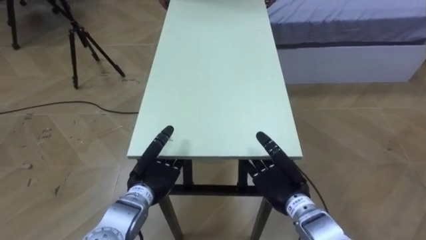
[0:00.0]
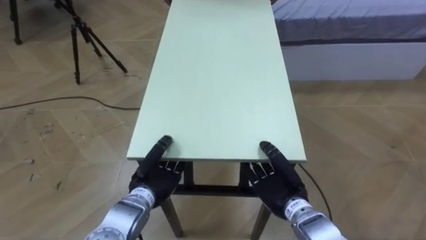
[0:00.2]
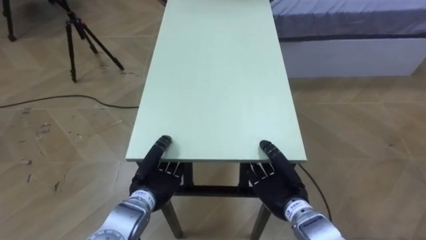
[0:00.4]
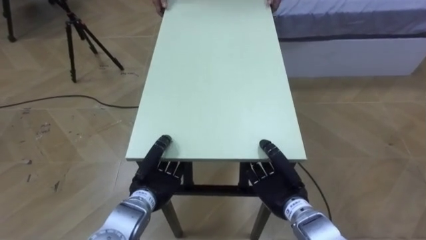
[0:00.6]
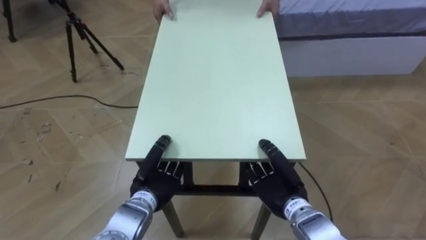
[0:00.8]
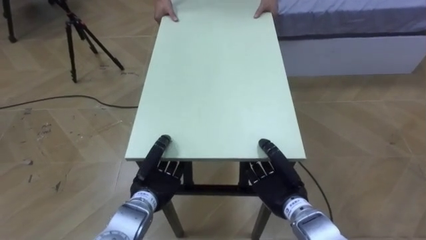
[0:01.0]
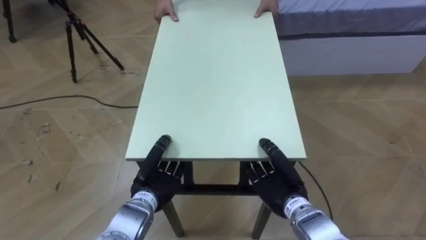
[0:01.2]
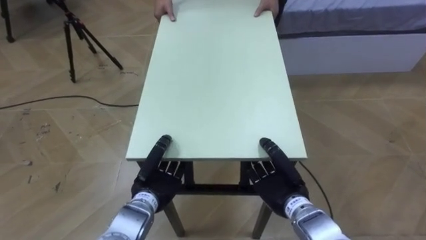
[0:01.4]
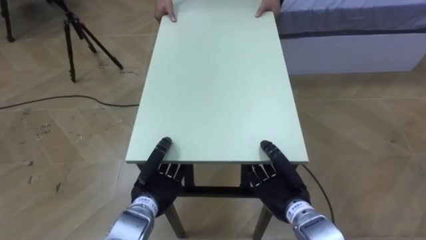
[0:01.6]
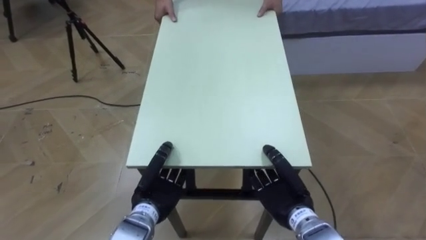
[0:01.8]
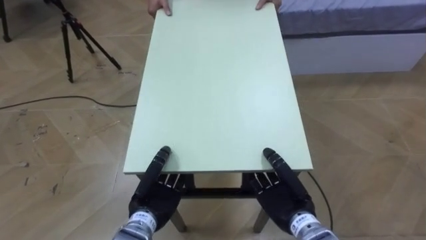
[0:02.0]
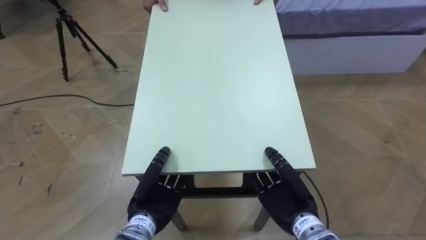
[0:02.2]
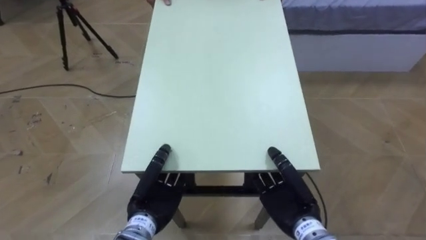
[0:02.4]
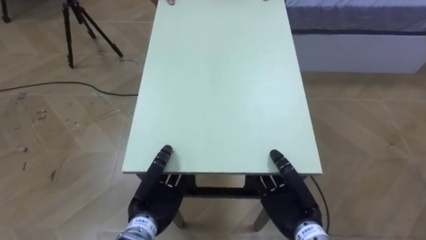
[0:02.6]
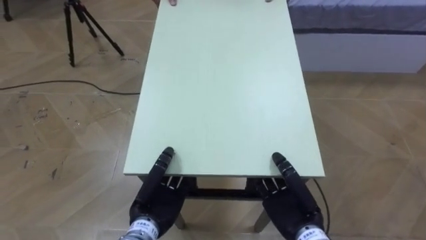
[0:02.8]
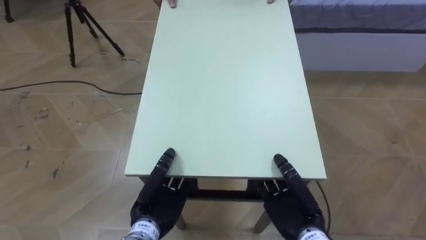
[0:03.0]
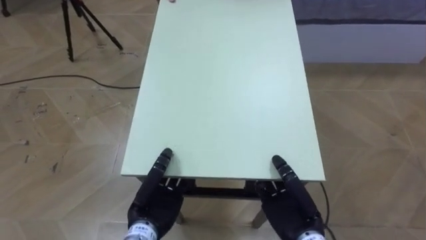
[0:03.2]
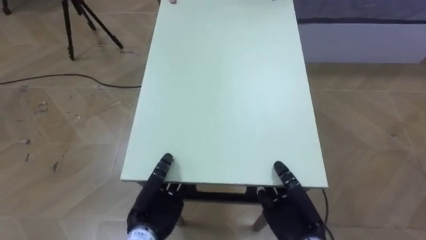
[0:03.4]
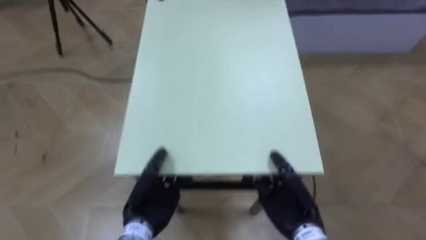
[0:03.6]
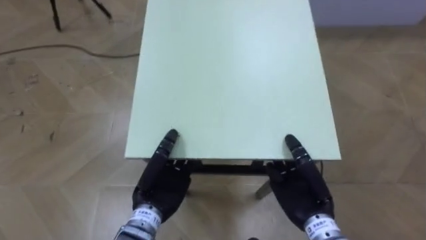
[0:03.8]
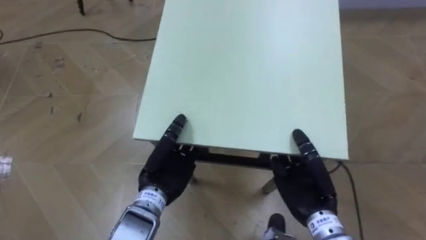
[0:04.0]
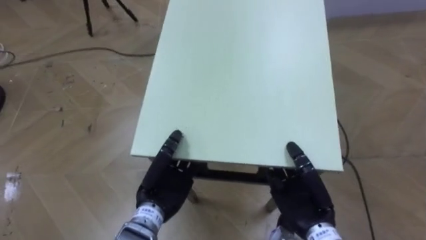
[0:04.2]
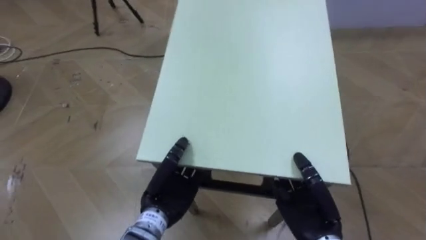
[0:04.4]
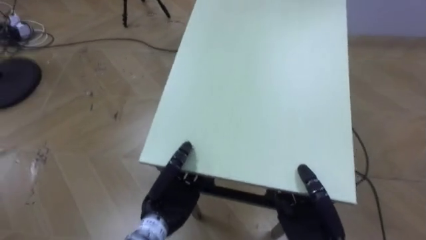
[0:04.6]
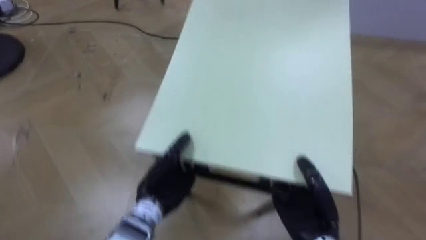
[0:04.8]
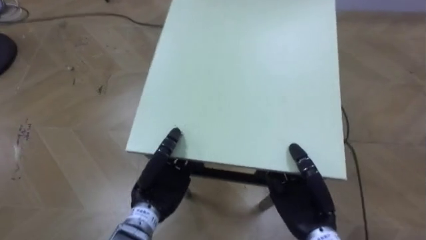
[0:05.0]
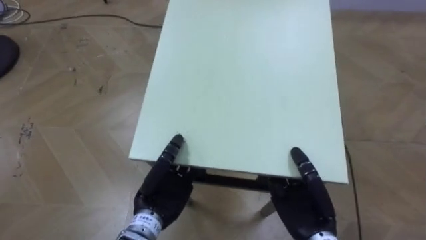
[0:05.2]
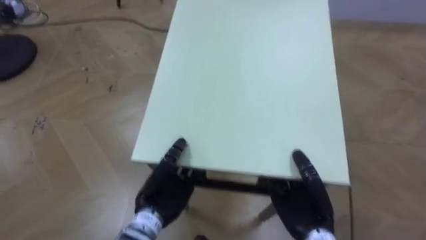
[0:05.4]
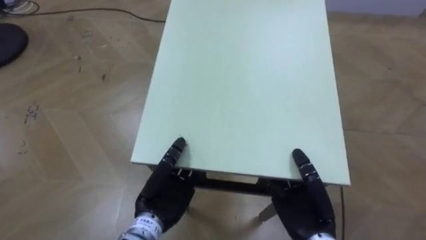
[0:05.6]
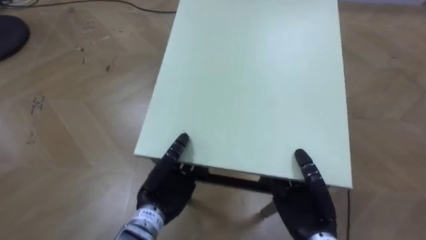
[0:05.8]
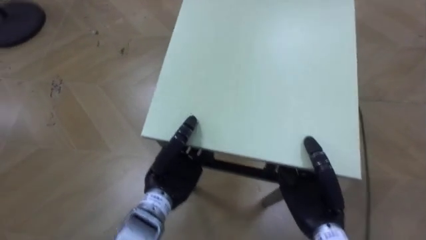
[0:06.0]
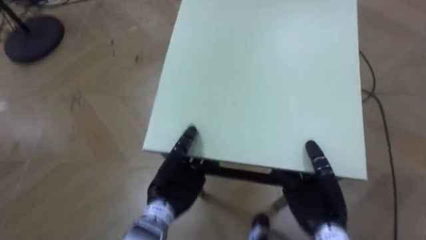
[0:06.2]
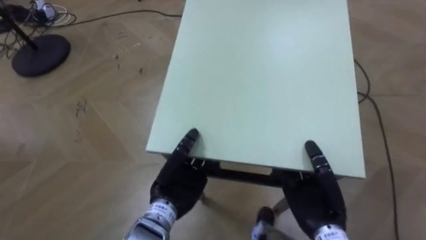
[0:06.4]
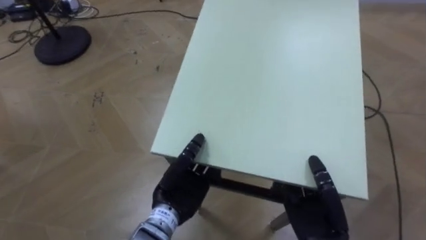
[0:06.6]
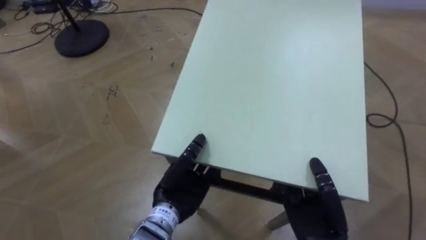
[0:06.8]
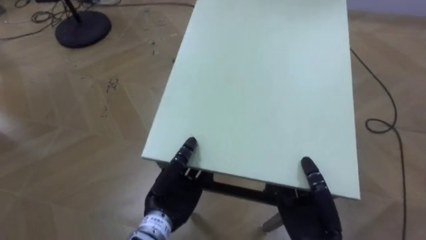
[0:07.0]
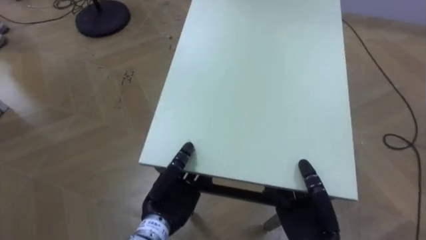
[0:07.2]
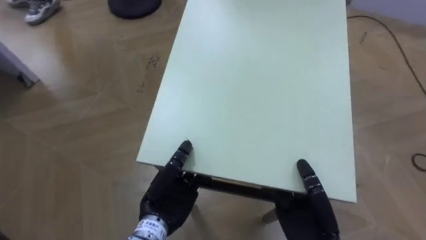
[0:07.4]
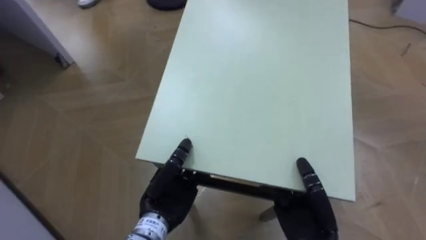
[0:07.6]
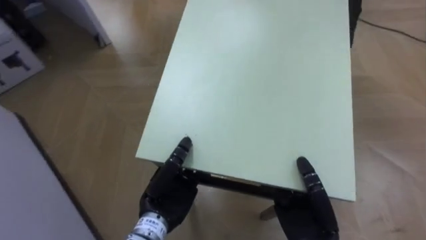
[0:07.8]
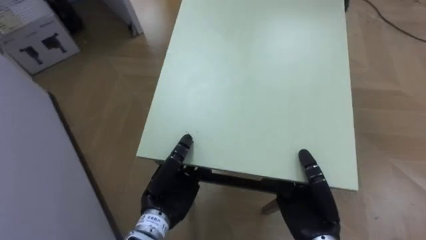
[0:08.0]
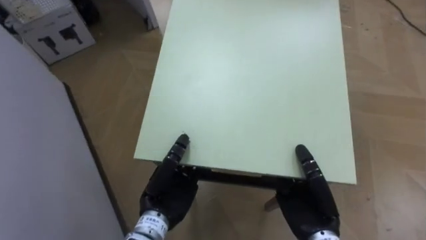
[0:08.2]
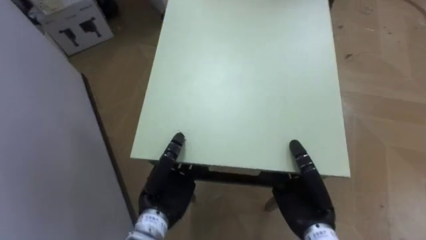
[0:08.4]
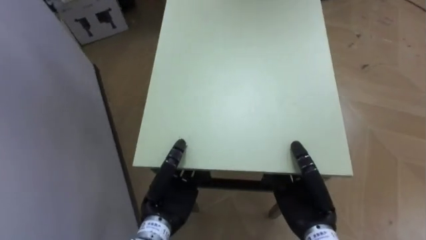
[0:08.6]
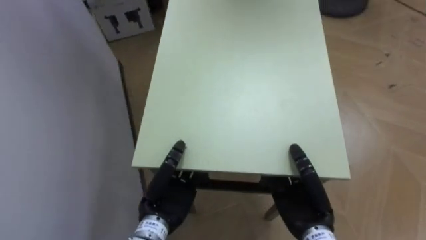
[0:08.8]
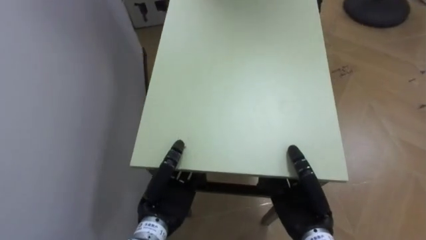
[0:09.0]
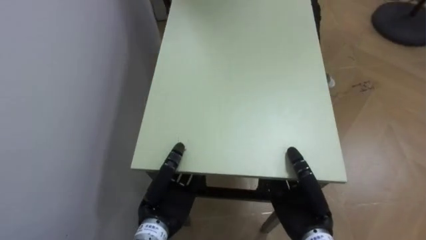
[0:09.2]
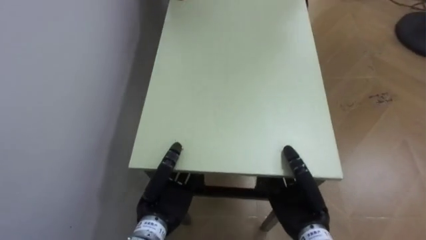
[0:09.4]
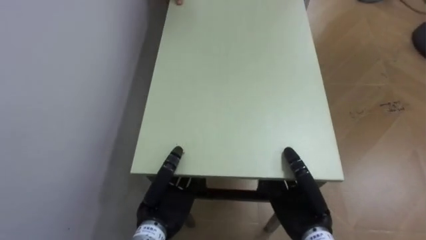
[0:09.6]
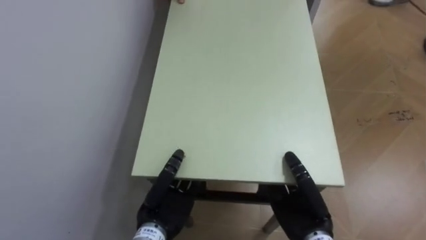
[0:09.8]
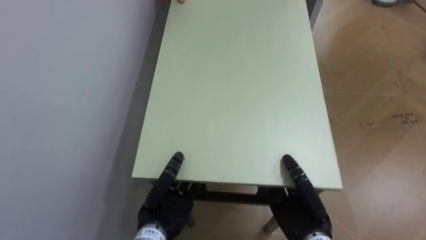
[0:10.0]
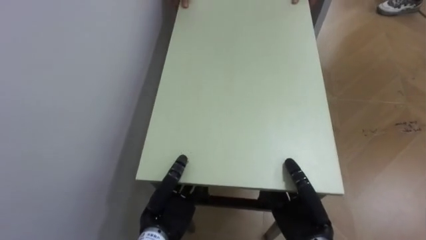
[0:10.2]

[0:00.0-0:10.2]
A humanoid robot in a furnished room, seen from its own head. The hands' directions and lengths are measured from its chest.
Task of the whole recording: Move the table to the back left with someone.
0:00.0 to 0:01.4: The left hand closes.
0:01.4 to 0:03.0: The left hand changes place by some 5 cm, while the right hand changes place by approximately 5 cm.
0:07.2 to 0:08.8: The robot's body swings about 55 degrees to its left.
0:08.8 to 0:10.2: The robot faces about 25 degrees further to its left.

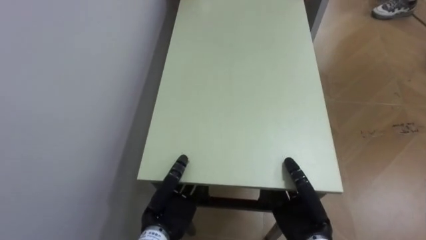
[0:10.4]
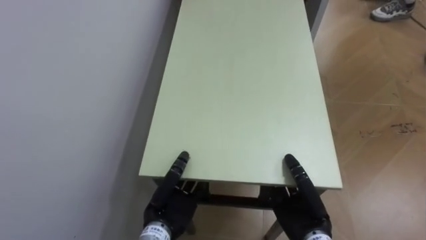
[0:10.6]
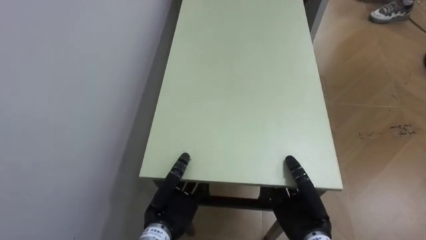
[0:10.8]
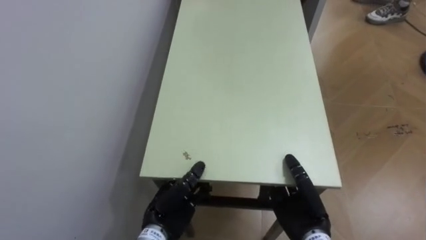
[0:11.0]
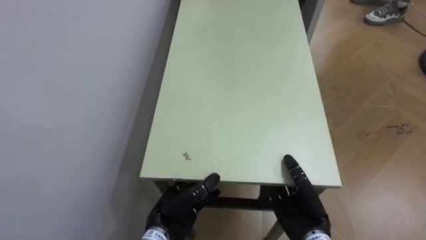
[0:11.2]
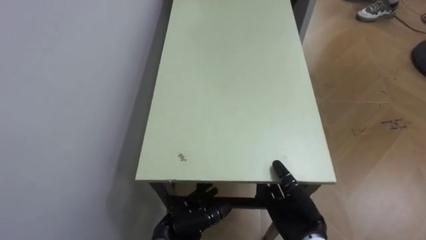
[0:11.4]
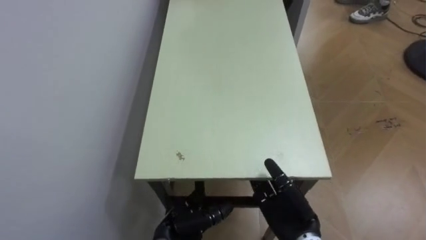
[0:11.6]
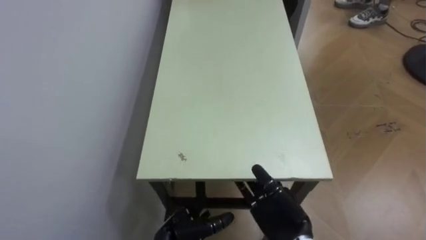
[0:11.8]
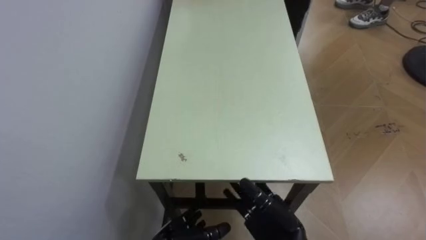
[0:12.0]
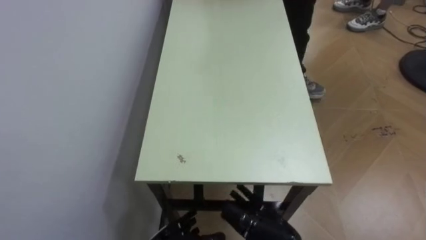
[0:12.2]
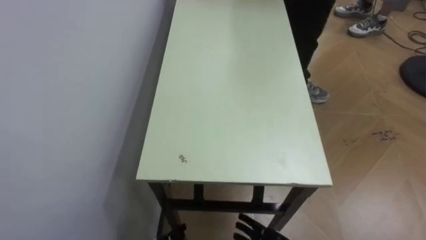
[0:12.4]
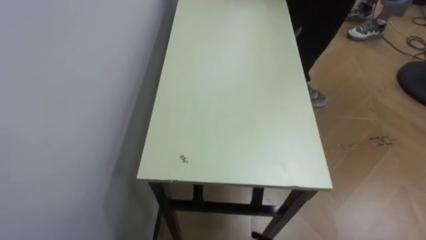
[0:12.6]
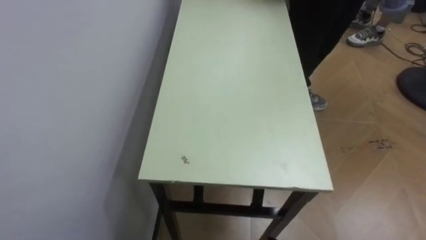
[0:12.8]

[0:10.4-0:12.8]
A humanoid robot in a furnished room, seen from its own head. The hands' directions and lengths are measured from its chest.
Task of the whole recording: Move the table to the back left with someone.
0:10.4 to 0:11.6: The right hand opens, while the left hand ends up approximately 5 cm from where it was, and opens.

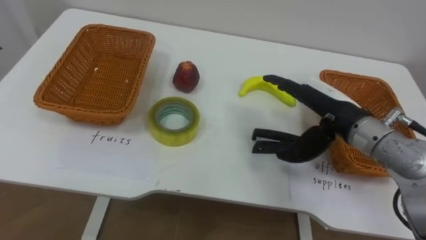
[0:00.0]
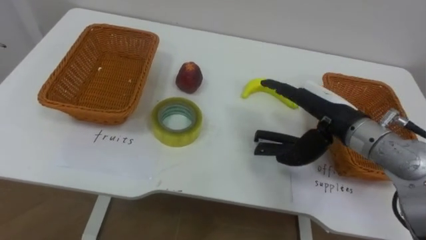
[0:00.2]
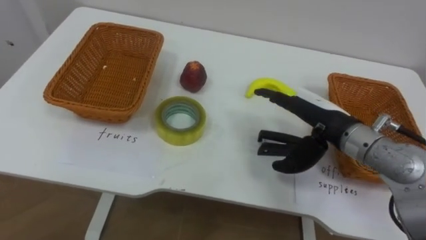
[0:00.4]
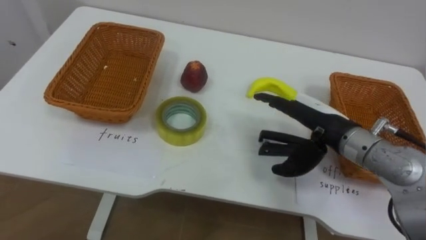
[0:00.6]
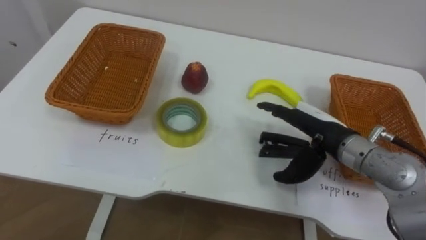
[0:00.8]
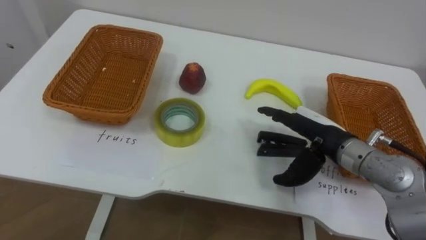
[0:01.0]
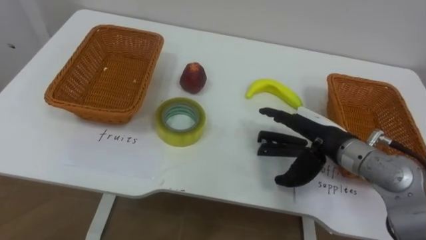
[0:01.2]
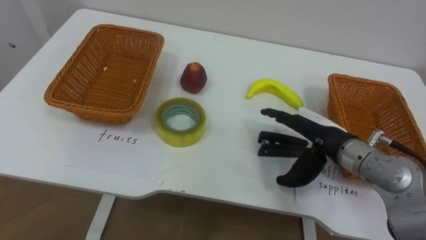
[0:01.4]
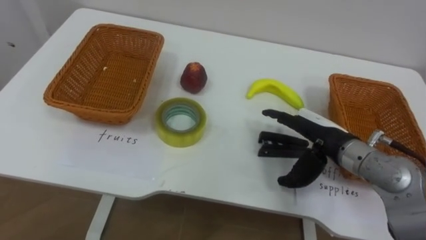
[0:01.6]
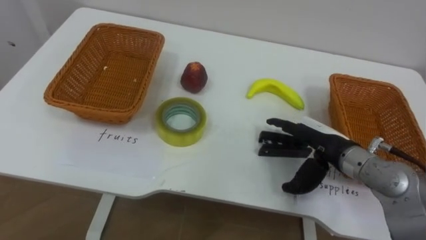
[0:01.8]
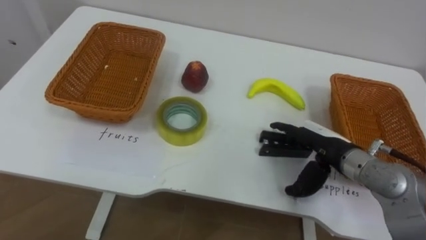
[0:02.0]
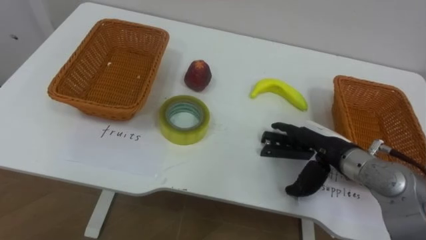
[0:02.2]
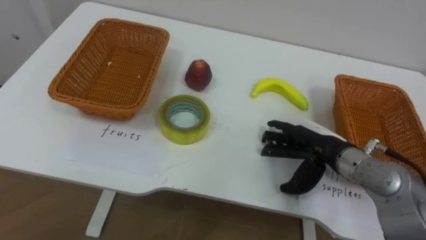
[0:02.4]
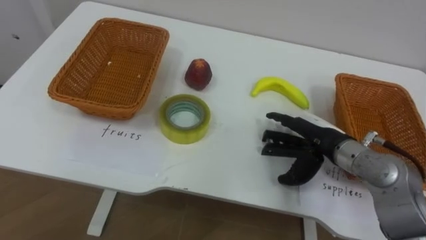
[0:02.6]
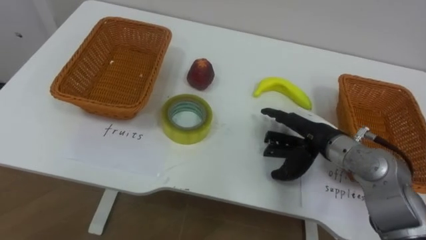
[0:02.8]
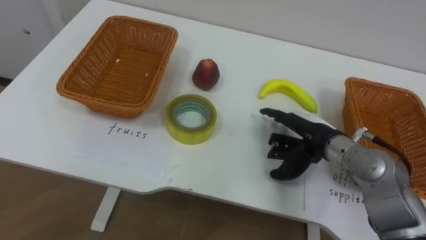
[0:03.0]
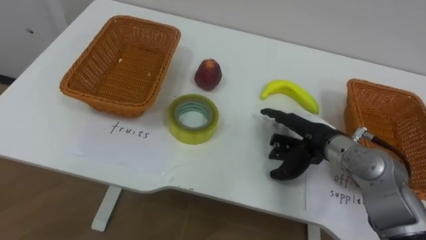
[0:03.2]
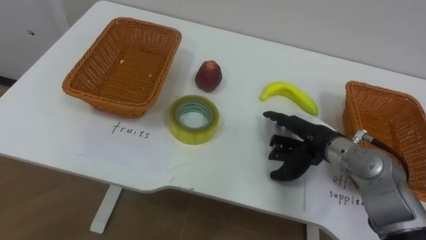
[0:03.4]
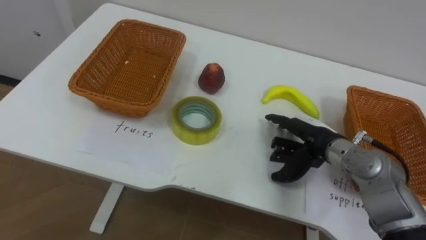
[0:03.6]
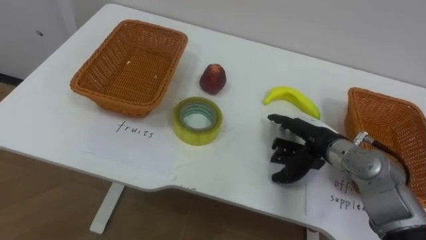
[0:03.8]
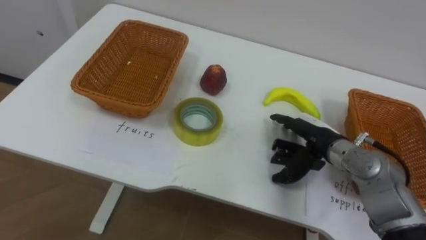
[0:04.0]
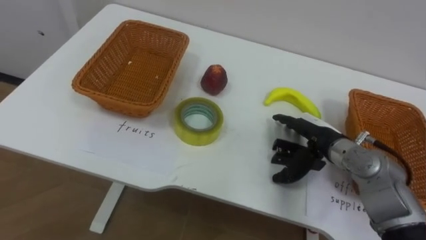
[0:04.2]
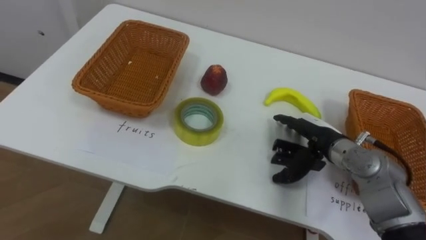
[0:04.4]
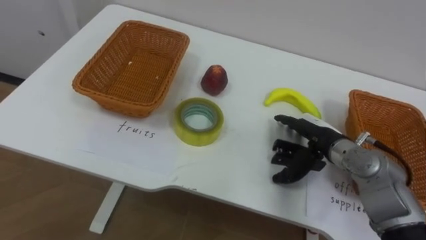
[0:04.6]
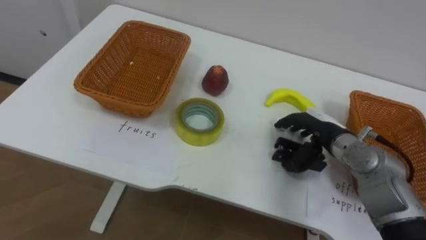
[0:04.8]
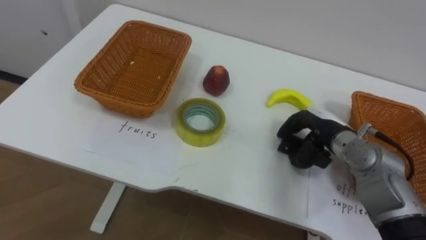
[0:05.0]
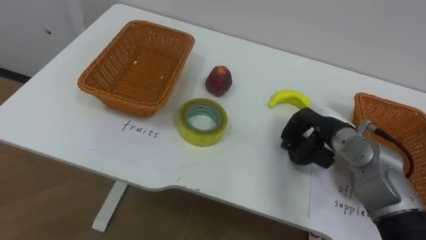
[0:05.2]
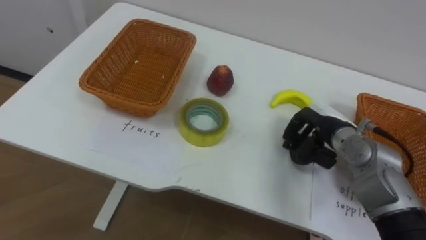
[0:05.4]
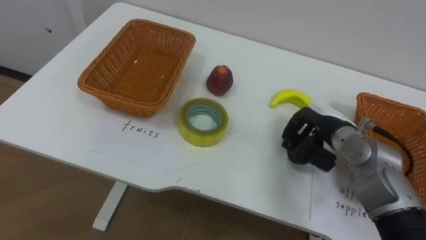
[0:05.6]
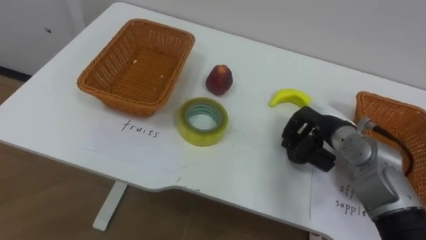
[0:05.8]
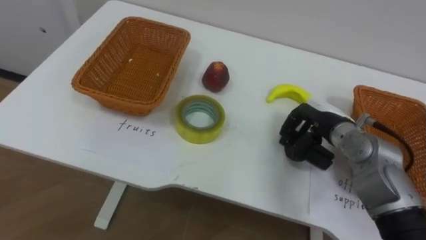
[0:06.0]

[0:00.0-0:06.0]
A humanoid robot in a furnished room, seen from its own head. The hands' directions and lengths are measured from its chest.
Task of the whole recording: Separate the items on the table and place them into the two baskets.
0:00.0 to 0:01.6: The right hand travels downward by approximately 5 cm.
0:04.4 to 0:06.0: The right hand closes.
